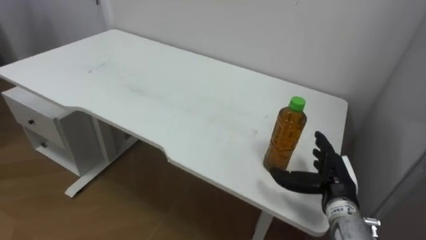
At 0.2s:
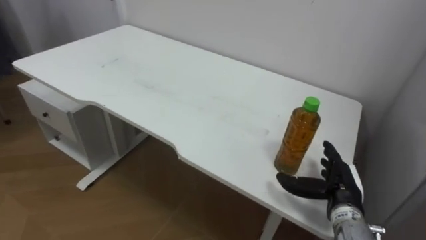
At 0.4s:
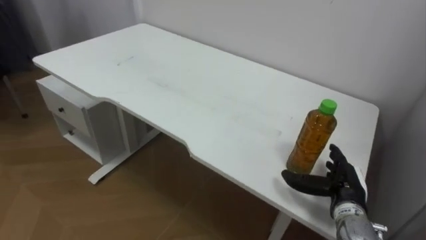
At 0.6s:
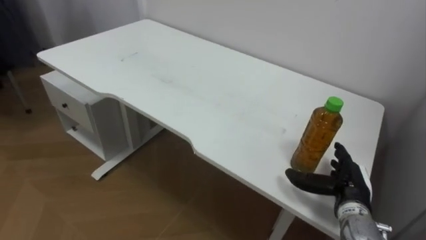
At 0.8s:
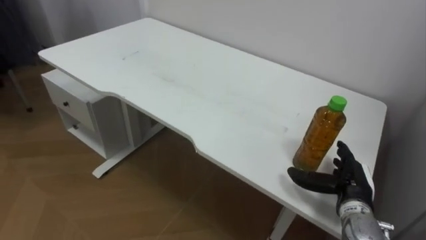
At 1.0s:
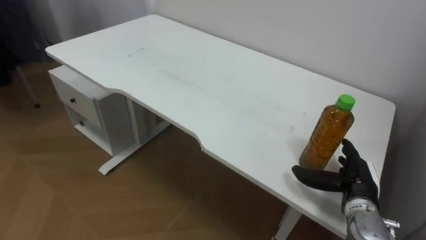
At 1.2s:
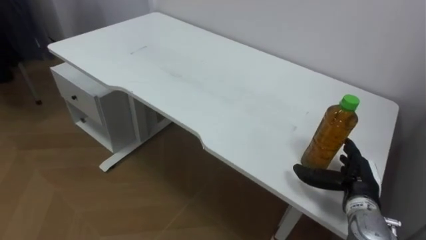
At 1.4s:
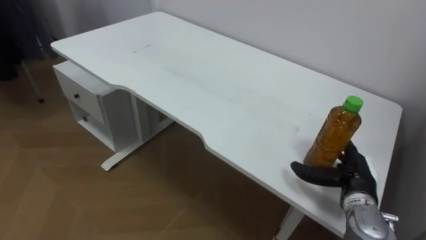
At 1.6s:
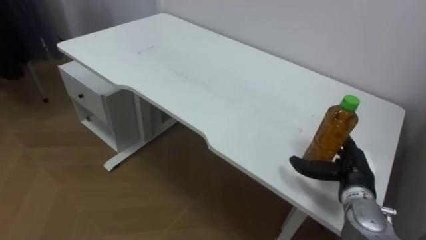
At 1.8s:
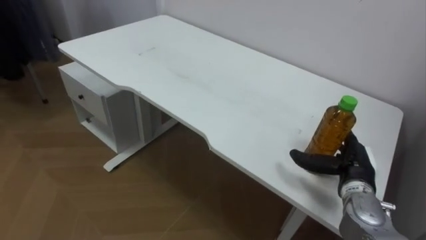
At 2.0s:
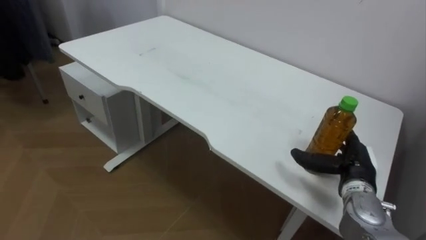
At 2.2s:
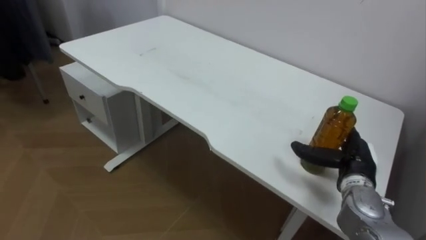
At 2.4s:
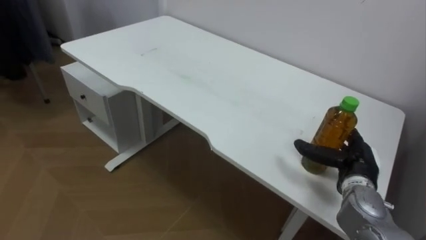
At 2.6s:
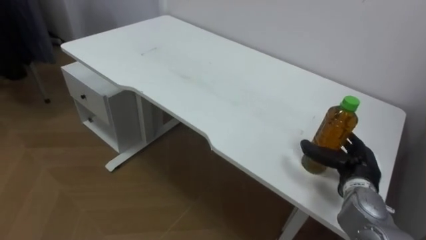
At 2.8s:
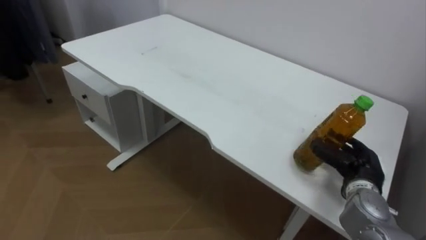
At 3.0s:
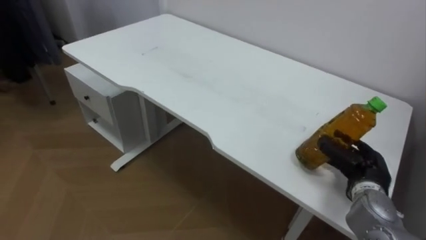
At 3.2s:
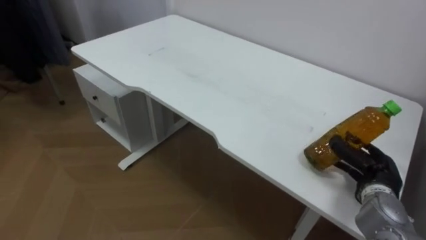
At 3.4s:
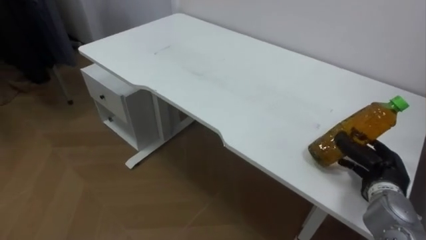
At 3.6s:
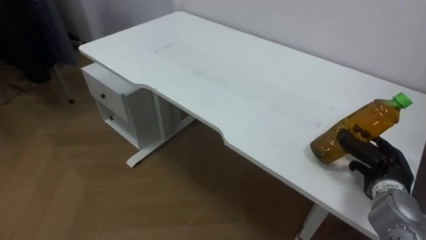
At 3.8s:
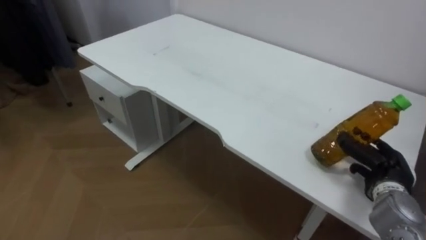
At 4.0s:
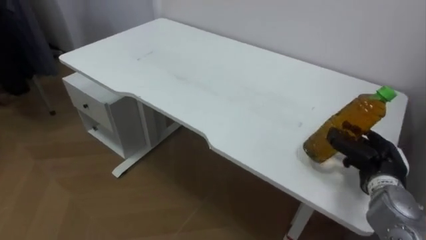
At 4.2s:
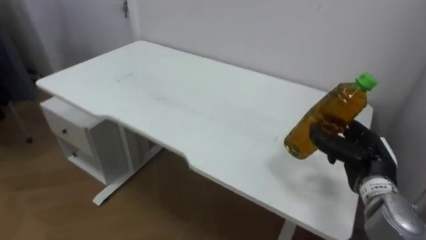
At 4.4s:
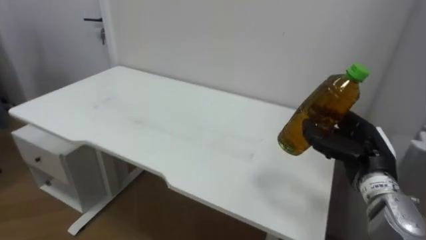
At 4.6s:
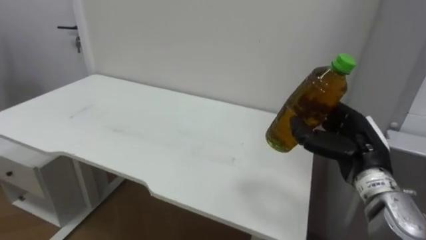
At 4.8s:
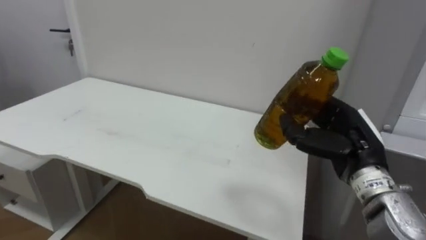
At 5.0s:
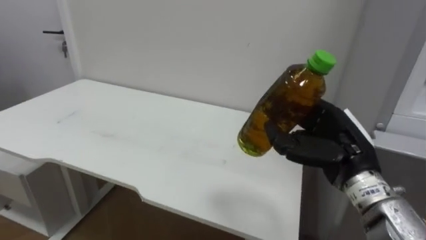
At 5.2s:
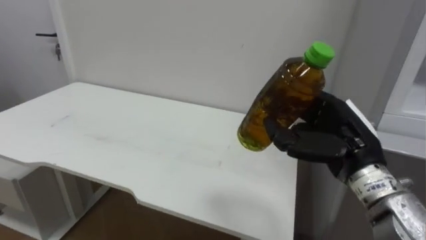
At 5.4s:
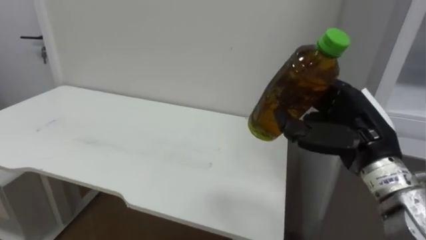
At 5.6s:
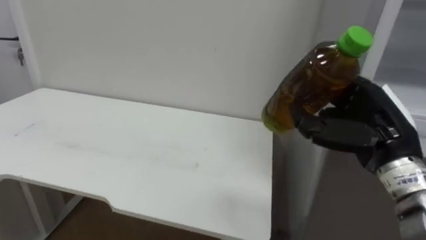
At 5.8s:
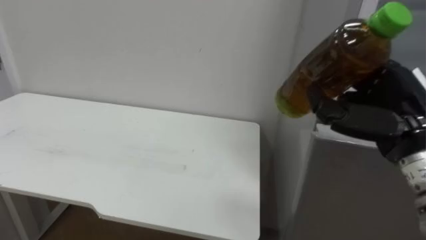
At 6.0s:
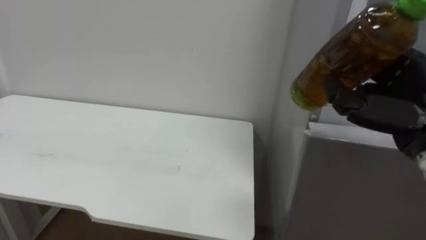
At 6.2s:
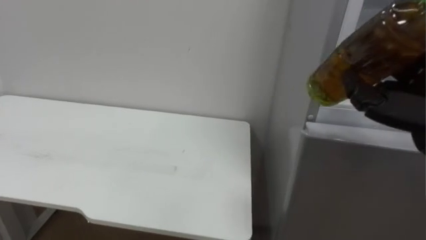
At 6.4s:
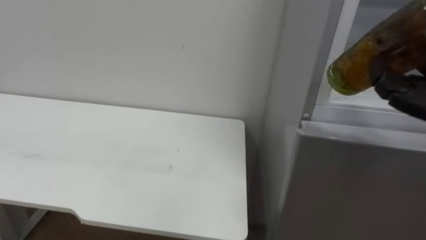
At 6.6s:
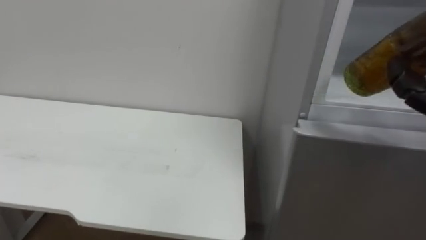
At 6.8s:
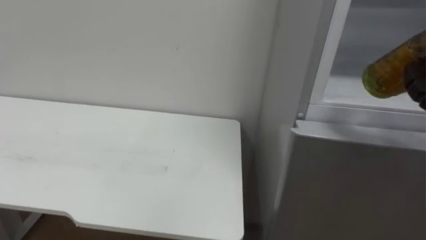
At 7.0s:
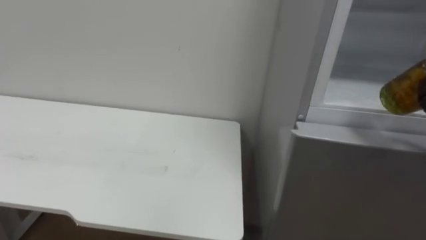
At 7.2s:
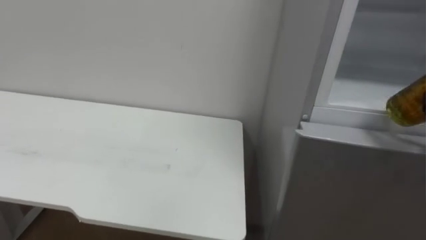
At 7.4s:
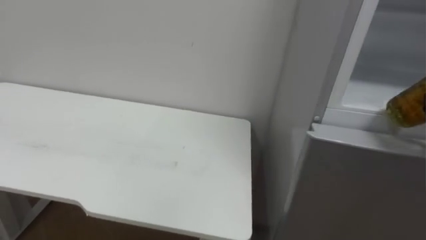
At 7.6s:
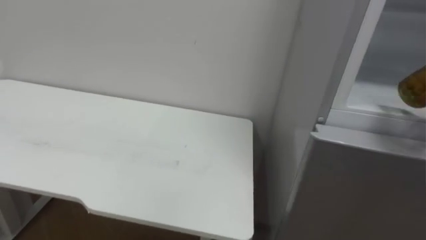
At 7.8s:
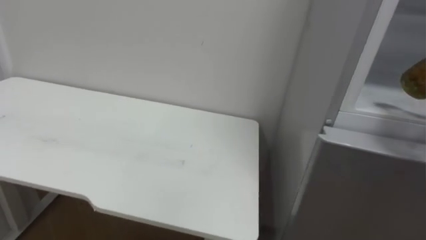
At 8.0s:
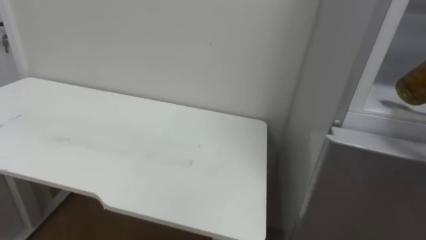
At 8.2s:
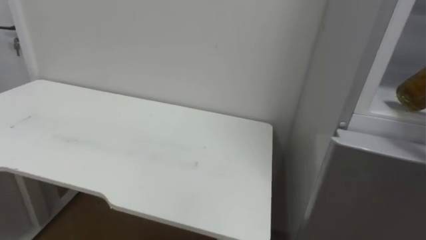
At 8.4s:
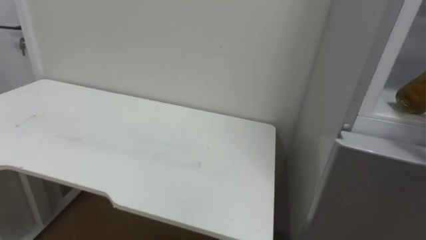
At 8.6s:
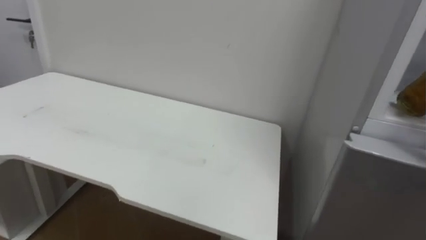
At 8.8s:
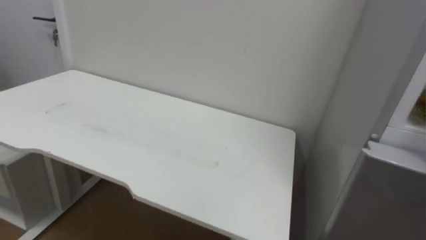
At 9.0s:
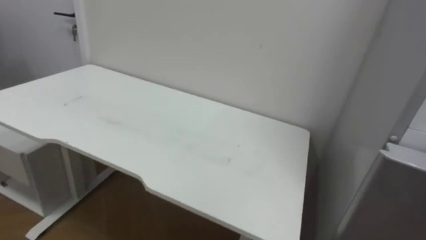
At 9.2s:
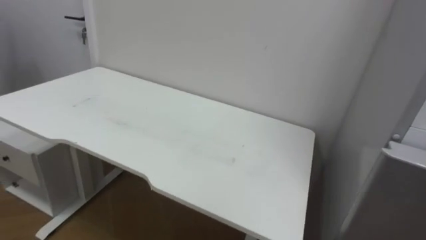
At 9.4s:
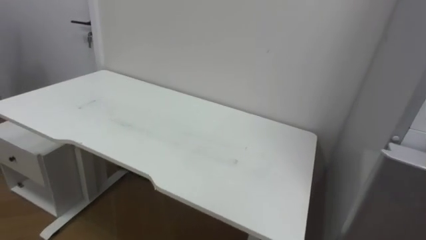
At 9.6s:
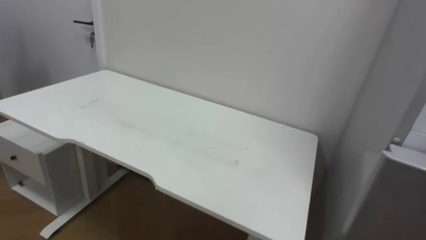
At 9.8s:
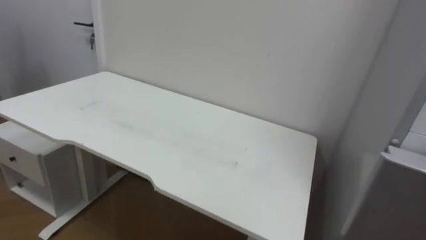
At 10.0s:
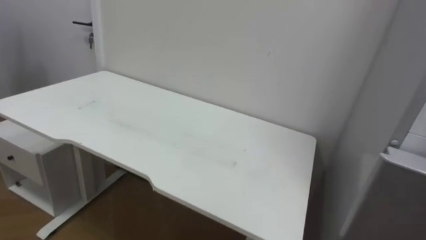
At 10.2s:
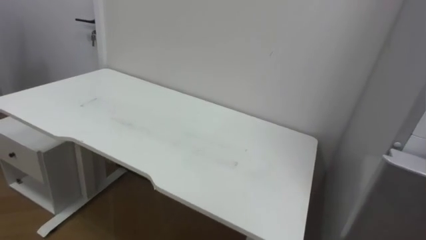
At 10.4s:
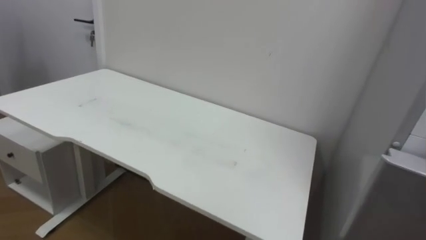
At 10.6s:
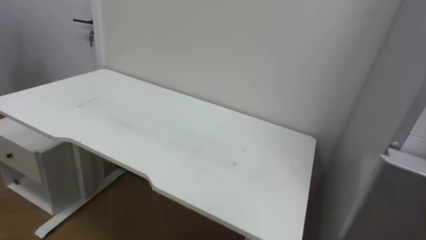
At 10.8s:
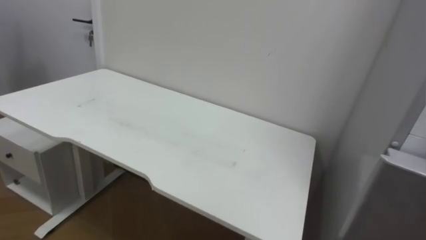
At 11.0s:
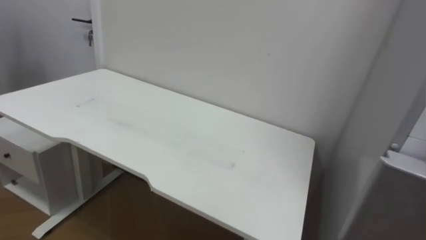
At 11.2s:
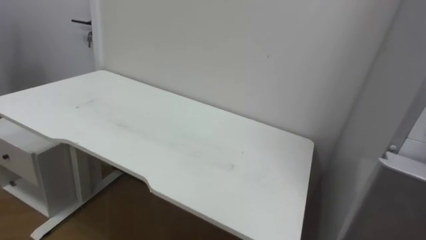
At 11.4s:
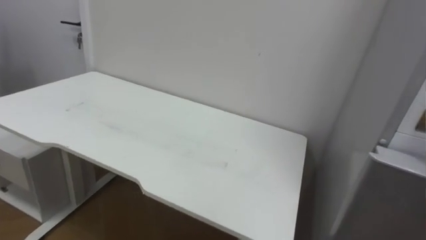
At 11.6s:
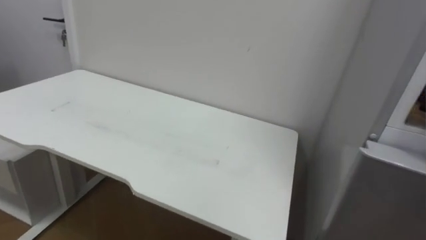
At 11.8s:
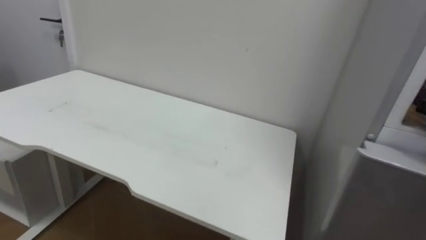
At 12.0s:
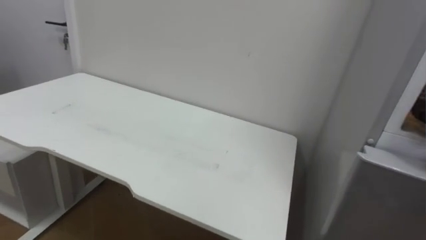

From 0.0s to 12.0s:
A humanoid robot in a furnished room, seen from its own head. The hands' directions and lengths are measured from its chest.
Task of the whole recording: Open the upper refrigerator door, put the drink from the table into the refrigerator, and then close the refrigerator door.
From 1.6s to 3.0s: The right hand closes up.
From 3.0s to 4.4s: The right hand moves upward, approximately 5 cm.
From 4.4s to 6.0s: The right hand travels upward and backward by approximately 15 cm.

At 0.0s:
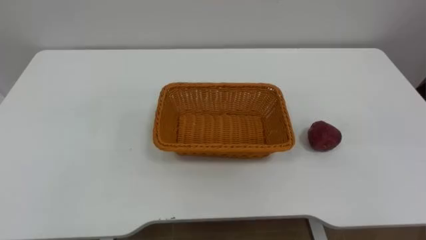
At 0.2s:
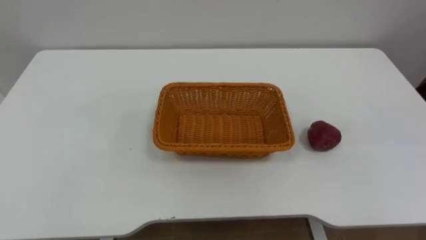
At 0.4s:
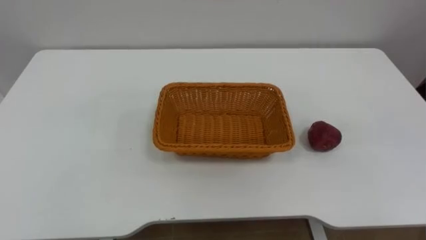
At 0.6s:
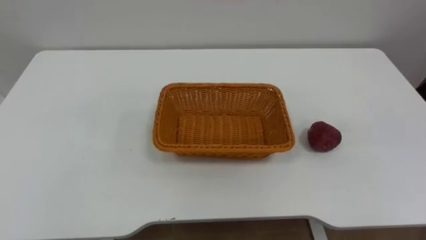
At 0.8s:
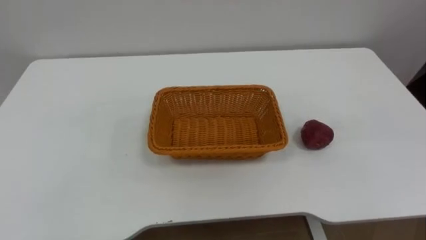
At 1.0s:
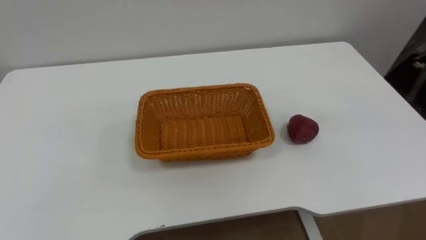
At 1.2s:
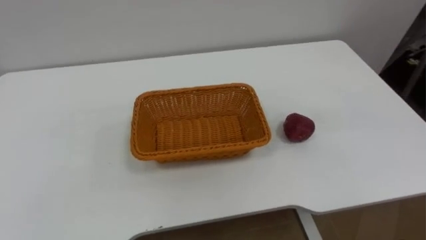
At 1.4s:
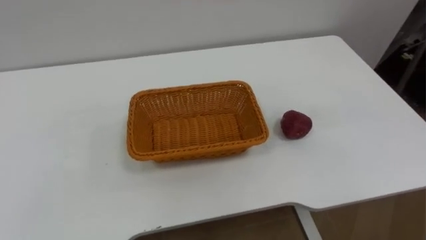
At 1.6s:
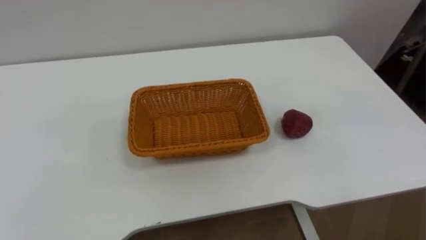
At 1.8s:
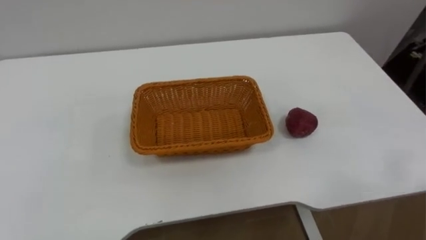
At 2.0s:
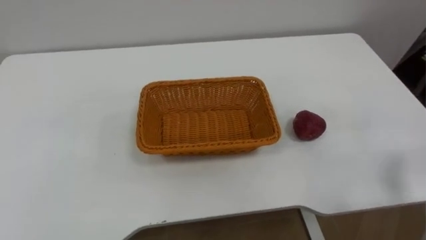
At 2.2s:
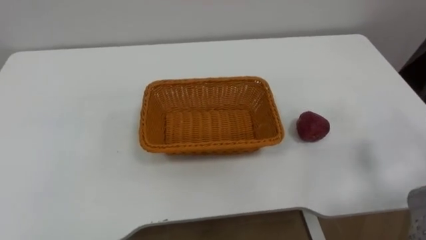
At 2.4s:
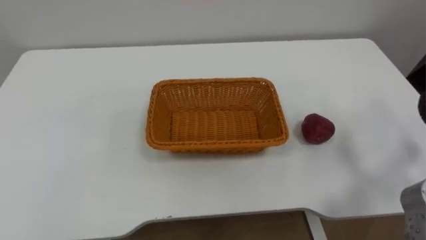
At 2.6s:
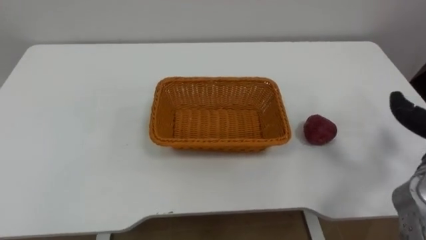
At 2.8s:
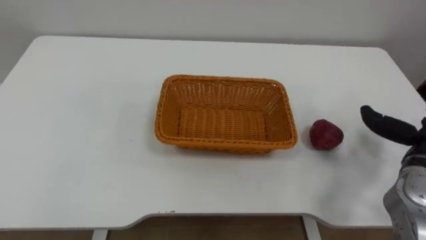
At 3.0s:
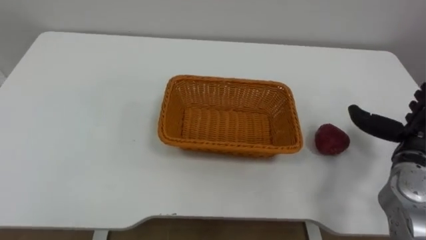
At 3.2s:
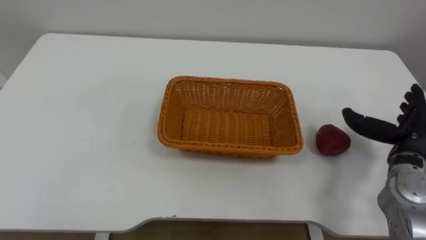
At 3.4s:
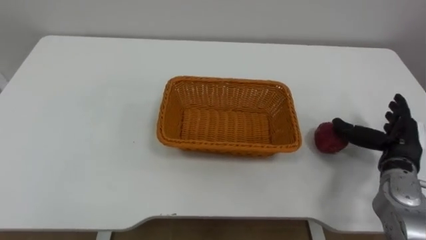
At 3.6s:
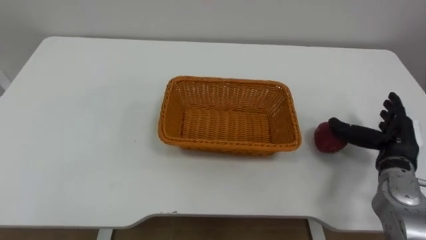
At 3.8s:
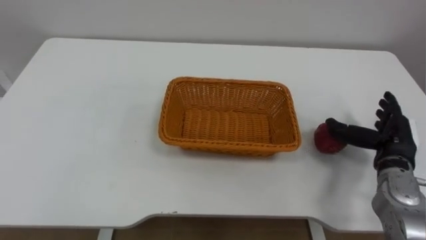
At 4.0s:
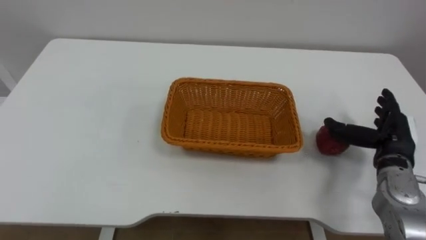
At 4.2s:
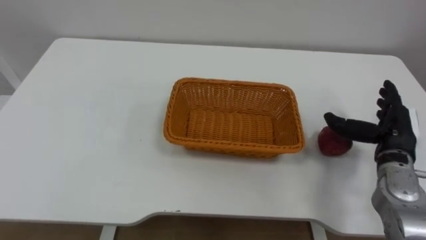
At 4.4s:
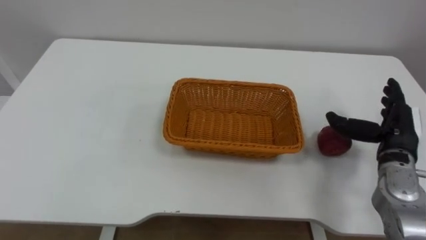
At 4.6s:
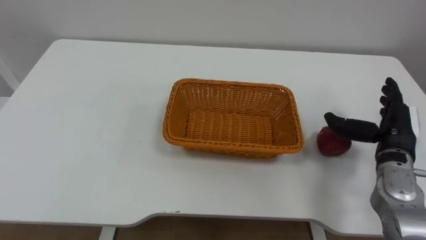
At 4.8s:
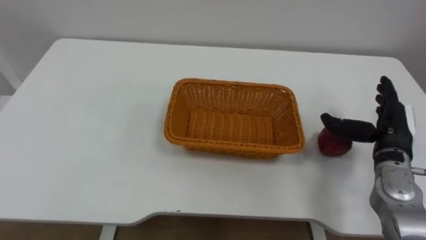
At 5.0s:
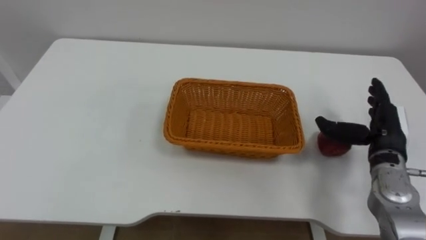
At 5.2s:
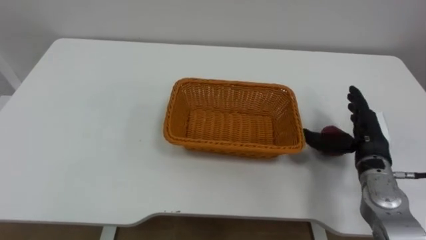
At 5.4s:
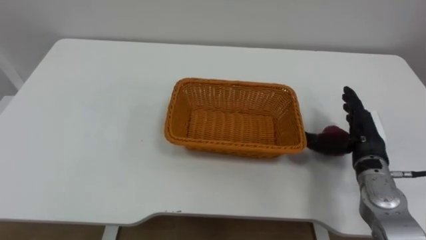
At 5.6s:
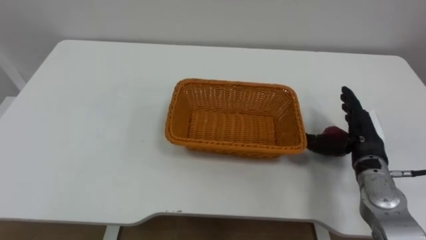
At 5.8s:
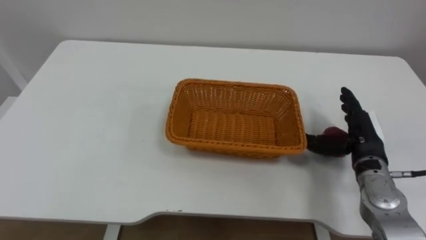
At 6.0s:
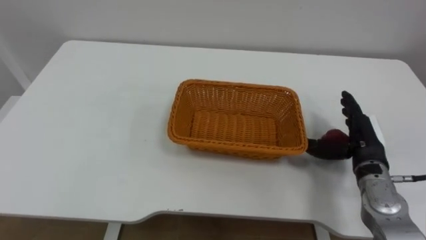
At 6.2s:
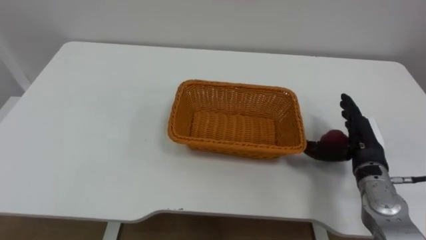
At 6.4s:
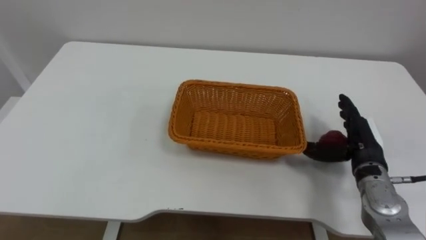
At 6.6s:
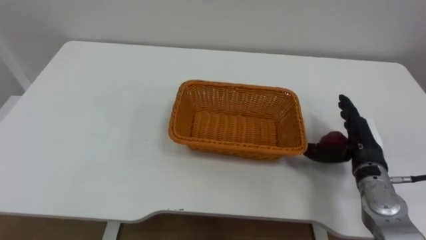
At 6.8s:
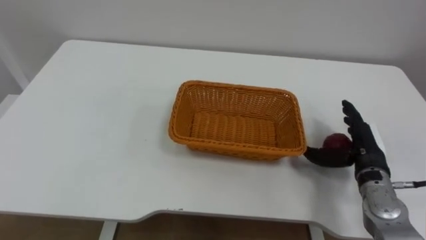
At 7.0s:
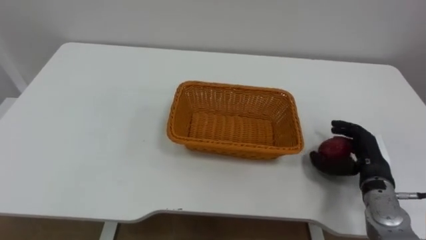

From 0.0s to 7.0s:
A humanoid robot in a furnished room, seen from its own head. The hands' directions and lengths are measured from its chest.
Task of the whole recording: Pick the apple and place it in the box.
From 2.8s to 4.2s: The right hand shifts by approximately 5 cm.
From 5.6s to 7.0s: The right hand moves about 5 cm.
